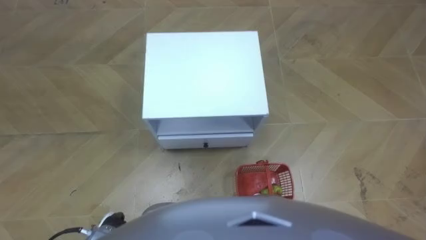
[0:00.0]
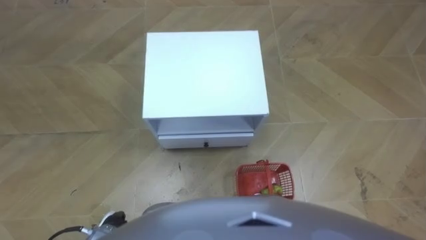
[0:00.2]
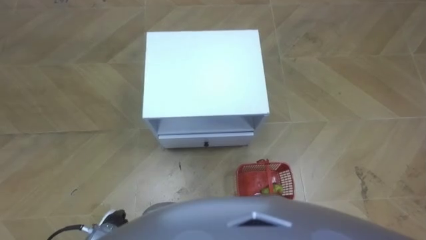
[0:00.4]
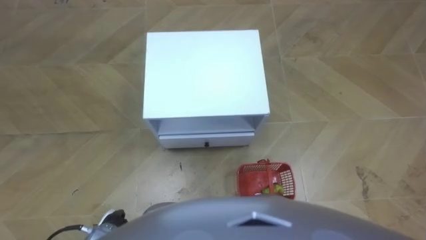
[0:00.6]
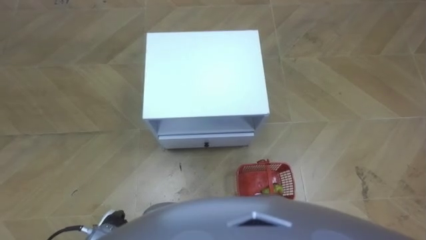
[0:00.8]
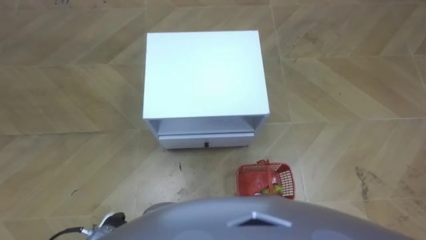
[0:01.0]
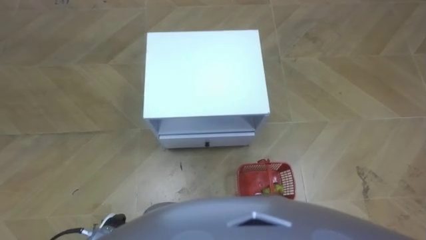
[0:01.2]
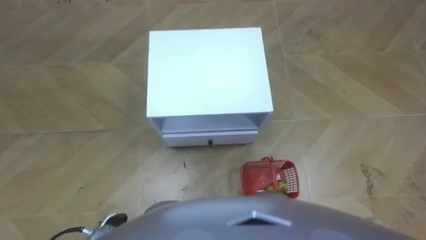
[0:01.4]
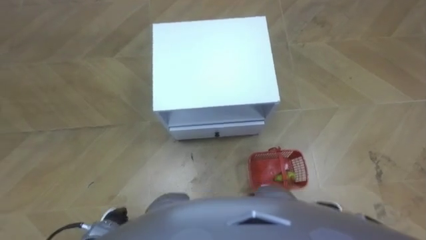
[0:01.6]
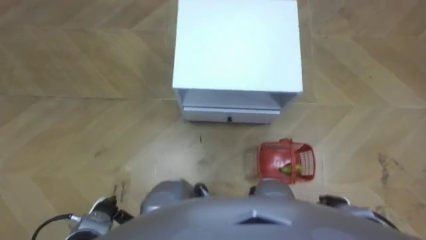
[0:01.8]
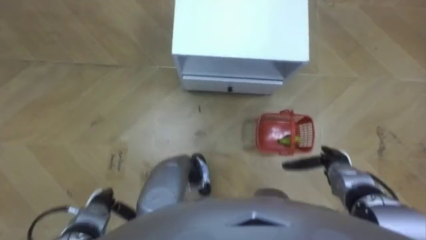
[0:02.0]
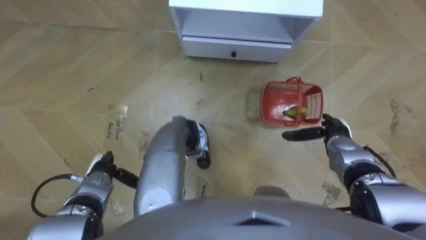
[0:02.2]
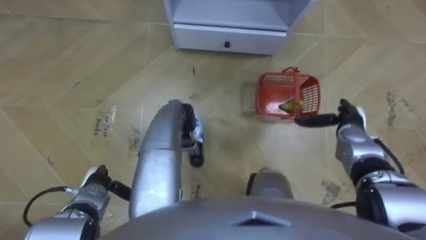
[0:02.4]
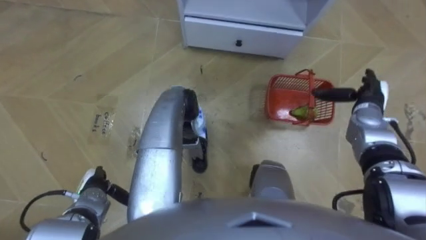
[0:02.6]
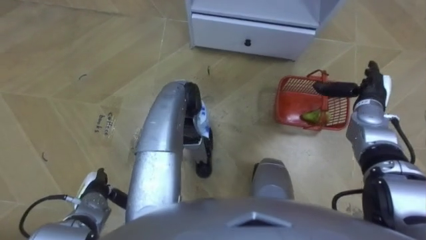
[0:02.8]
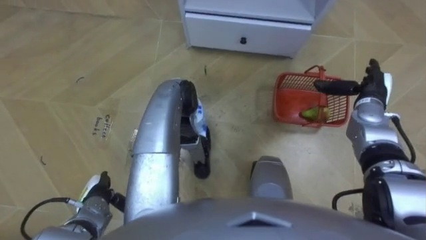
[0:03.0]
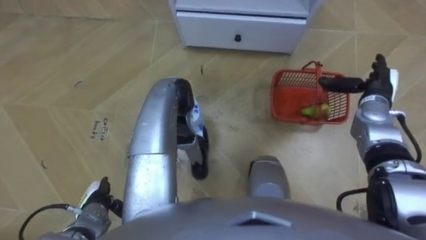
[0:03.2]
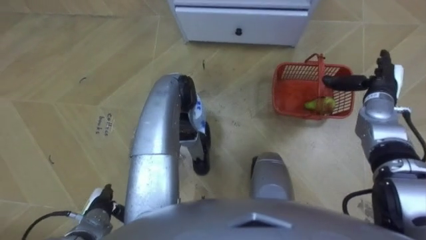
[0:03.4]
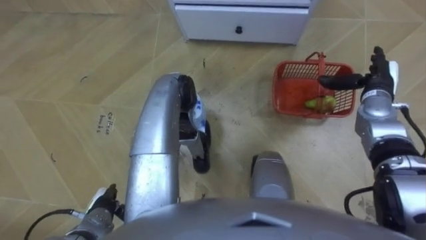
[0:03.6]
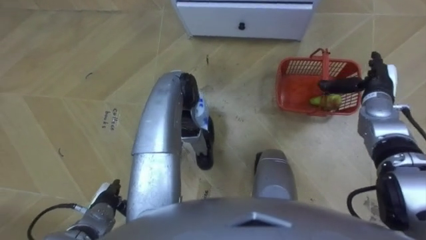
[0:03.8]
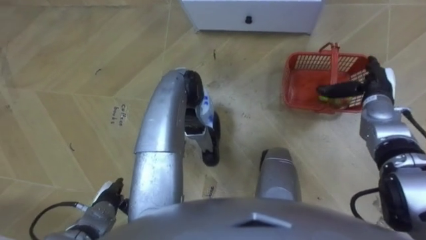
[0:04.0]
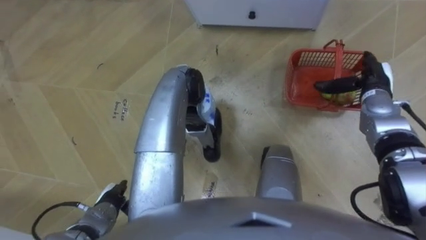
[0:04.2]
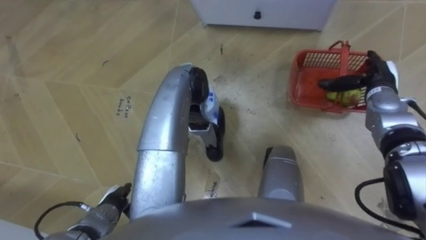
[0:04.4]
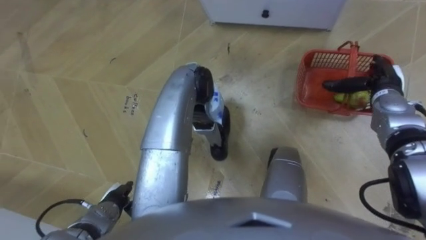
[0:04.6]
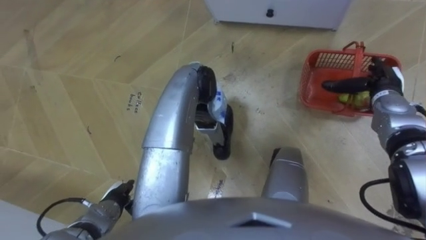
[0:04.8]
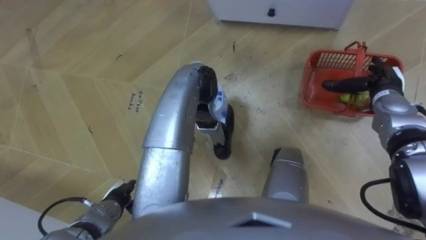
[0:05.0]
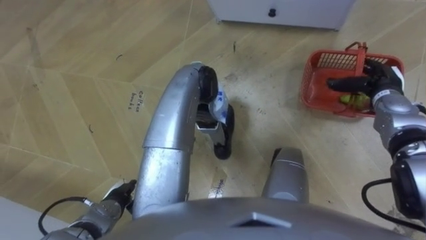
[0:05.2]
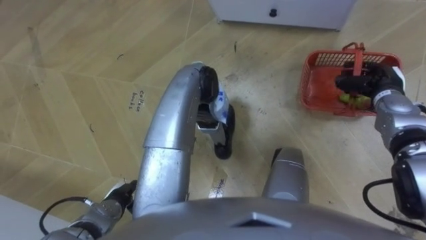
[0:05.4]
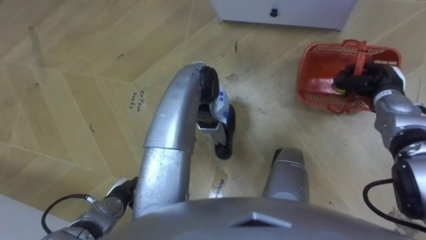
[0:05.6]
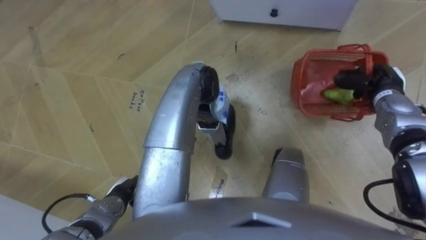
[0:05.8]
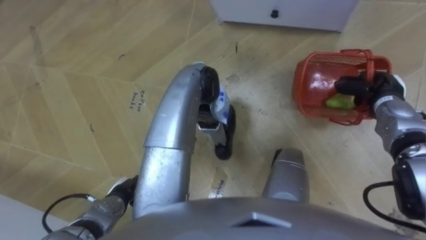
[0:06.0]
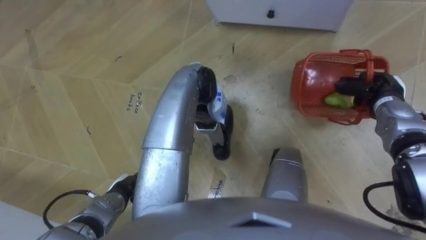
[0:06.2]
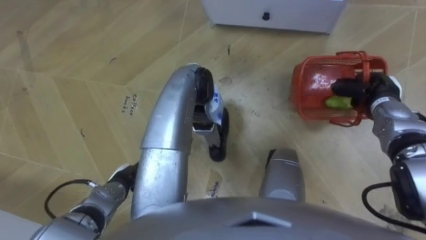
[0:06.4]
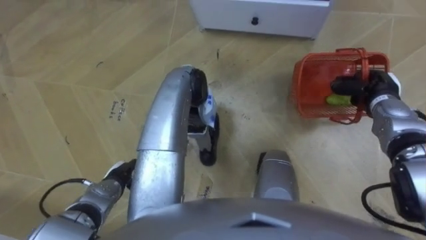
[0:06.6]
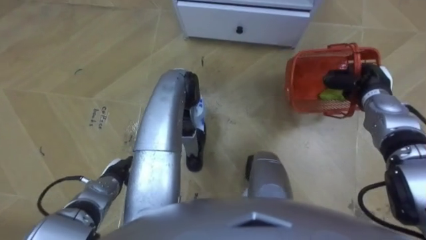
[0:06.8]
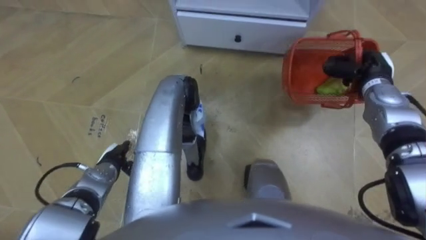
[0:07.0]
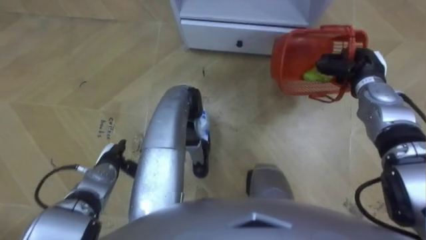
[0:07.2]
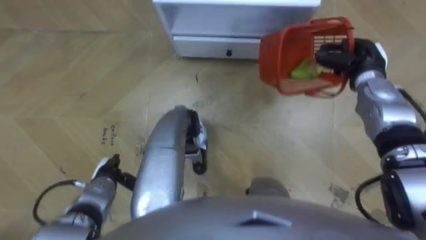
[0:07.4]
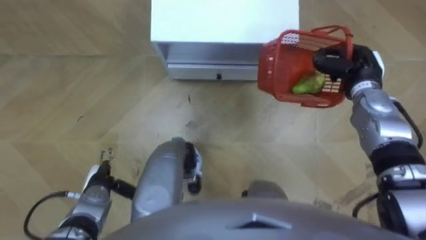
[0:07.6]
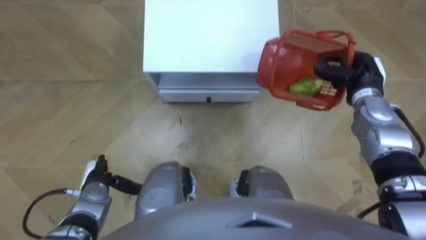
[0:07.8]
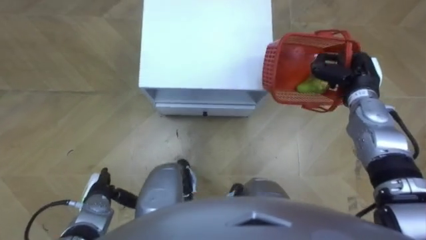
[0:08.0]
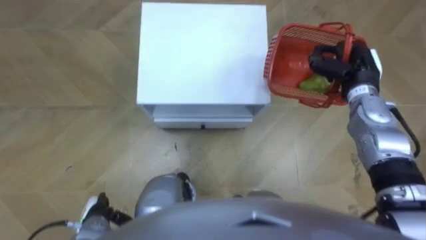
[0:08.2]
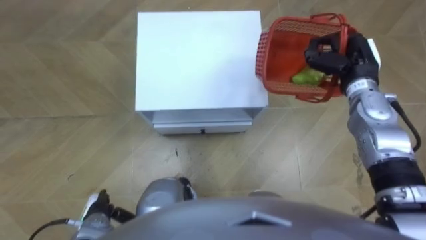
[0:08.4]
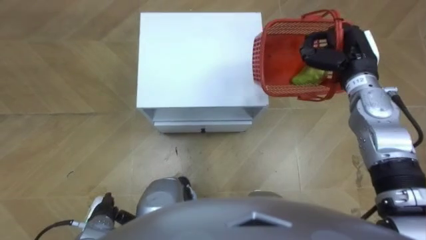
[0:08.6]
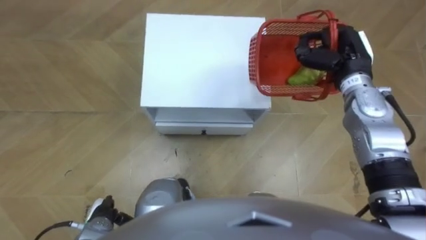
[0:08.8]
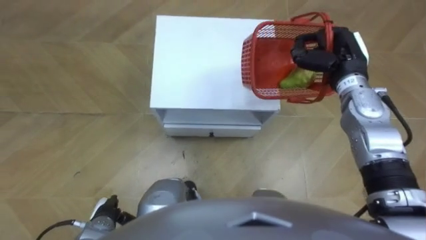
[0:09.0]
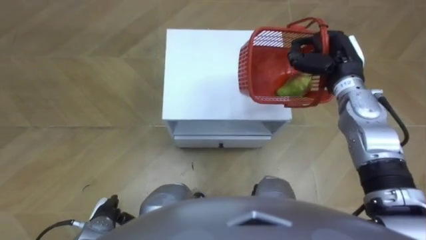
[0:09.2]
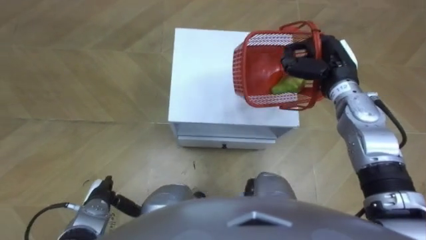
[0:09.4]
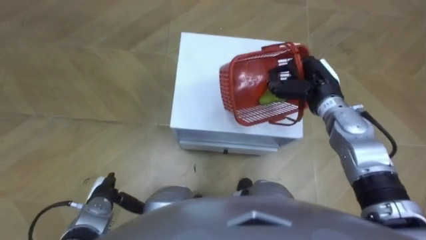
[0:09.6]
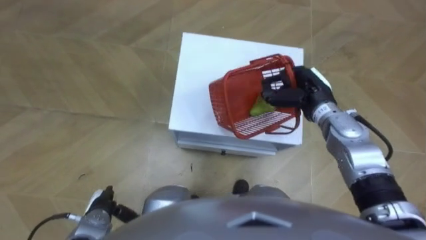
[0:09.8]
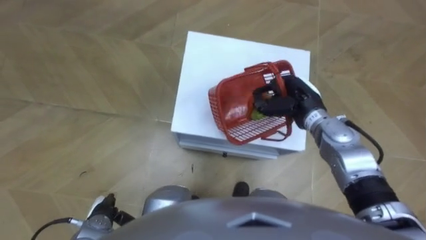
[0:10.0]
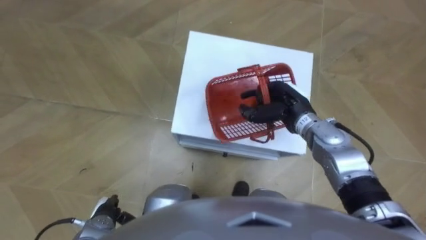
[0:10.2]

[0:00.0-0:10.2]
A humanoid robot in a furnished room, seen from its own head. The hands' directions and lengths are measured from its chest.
Task of the whole recording: Pick up the fruit basket from the floor and place it on the cabinet.
0:01.4 to 0:03.0: The left hand heads forward, covering about 10 cm. Meanwhile the right hand shifts some 35 cm forward and upward.
0:04.4 to 0:05.8: The right hand closes up.
0:05.8 to 0:07.2: The right hand moves approximately 5 cm. Meanwhile the left hand travels forward by roughly 10 cm.
0:07.2 to 0:08.8: The left hand goes approximately 15 cm backward. The right hand is displaced upward and to the left by roughly 10 cm.
0:08.8 to 0:10.2: The right hand heads to the left, downward and backward, covering about 15 cm.

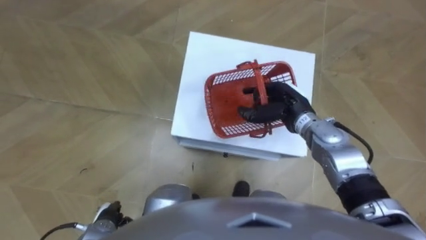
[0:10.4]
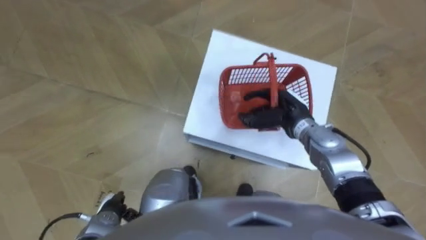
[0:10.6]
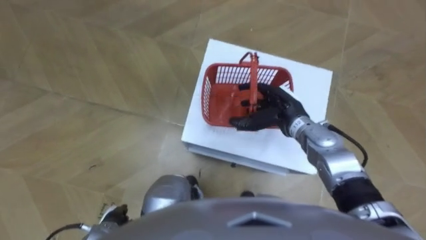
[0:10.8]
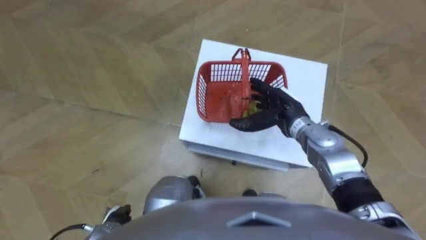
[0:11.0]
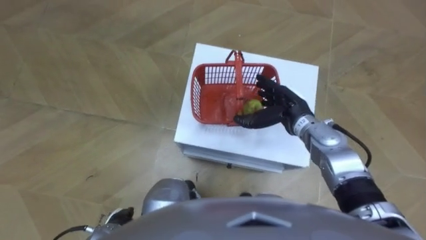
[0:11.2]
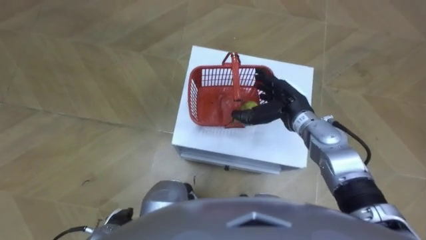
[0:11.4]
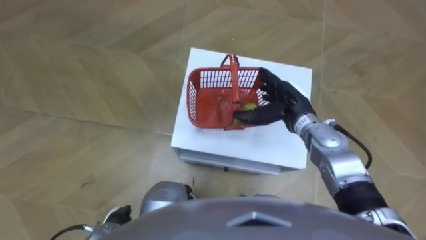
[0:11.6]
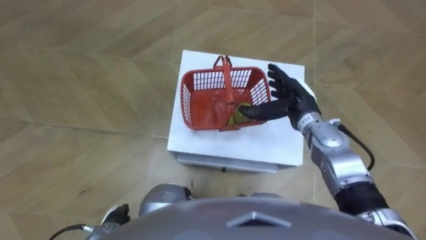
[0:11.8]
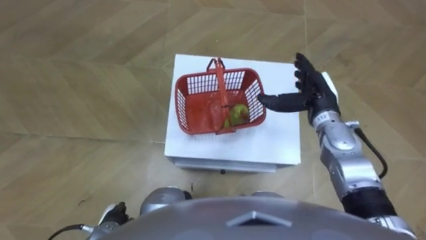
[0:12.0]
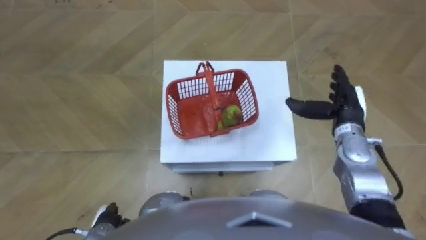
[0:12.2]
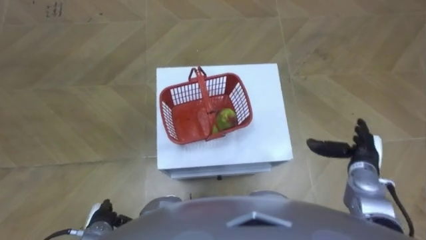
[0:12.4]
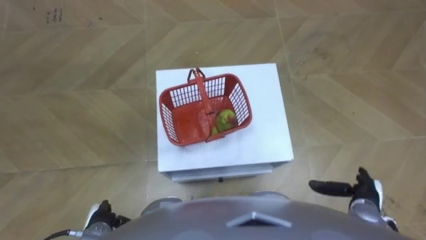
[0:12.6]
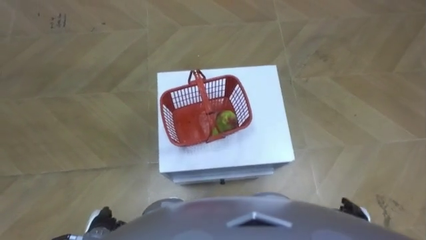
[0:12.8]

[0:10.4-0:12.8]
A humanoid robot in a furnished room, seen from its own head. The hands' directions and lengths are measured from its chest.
Task of the whole recording: Pick up the fruit basket from the floor and place it on the cabinet.
0:10.4 to 0:11.6: The right hand opens its fingers.
0:11.6 to 0:12.8: The right hand is displaced backward, to the right and downward by some 30 cm.

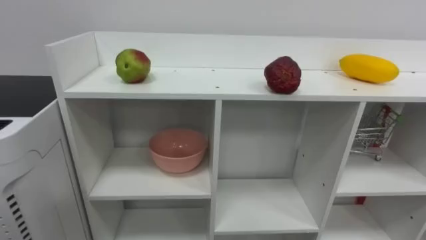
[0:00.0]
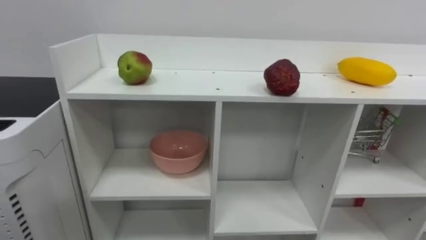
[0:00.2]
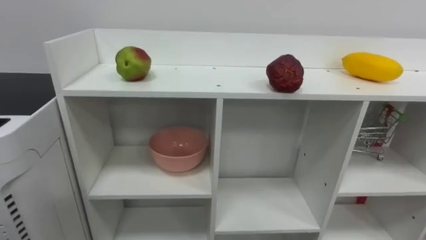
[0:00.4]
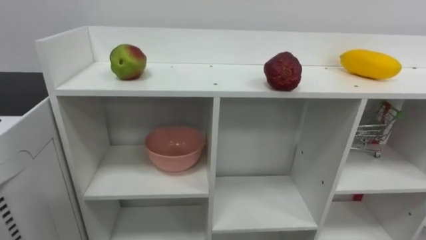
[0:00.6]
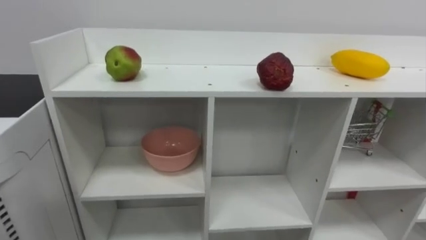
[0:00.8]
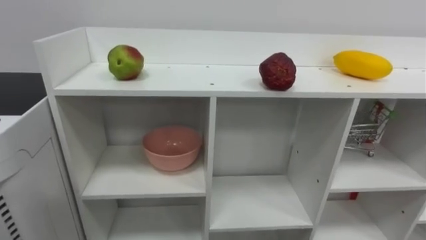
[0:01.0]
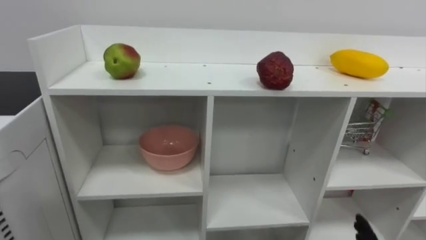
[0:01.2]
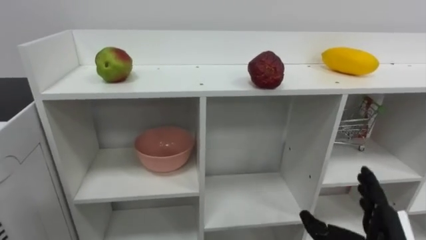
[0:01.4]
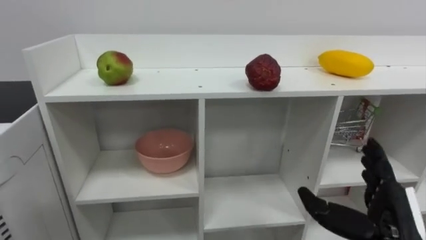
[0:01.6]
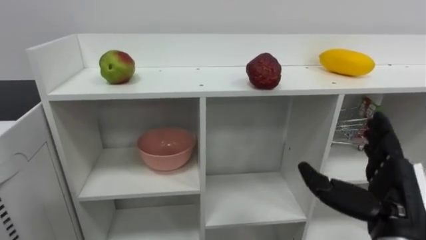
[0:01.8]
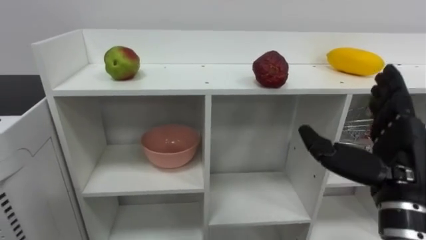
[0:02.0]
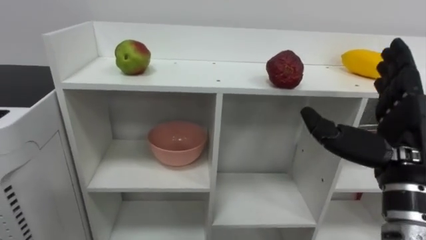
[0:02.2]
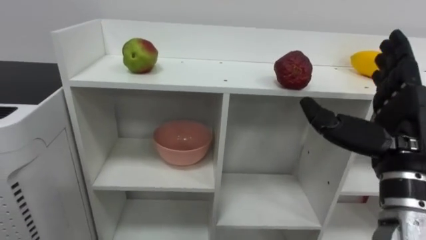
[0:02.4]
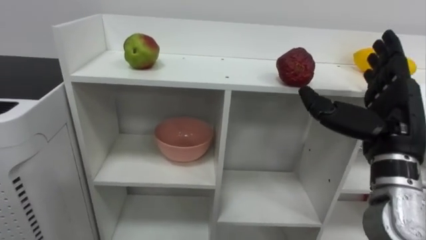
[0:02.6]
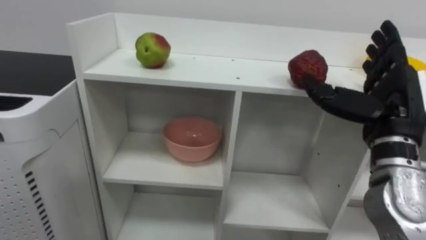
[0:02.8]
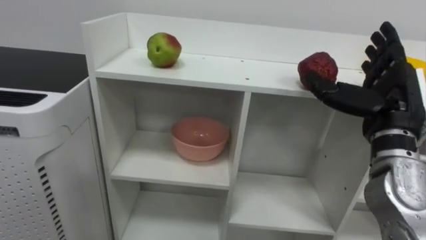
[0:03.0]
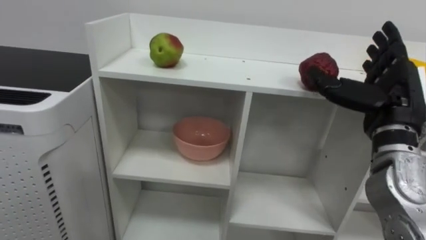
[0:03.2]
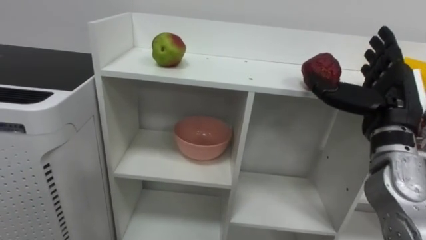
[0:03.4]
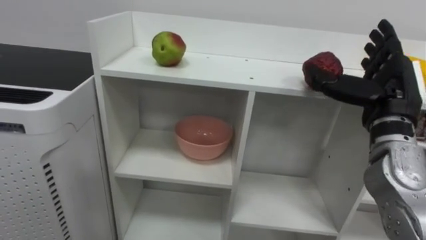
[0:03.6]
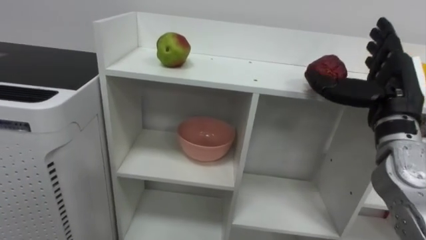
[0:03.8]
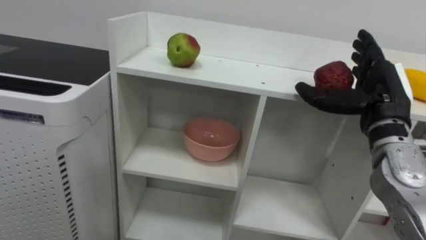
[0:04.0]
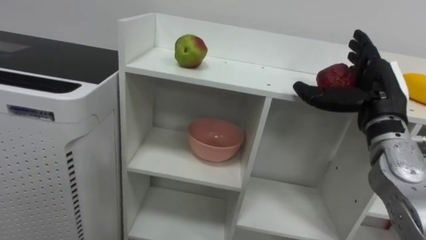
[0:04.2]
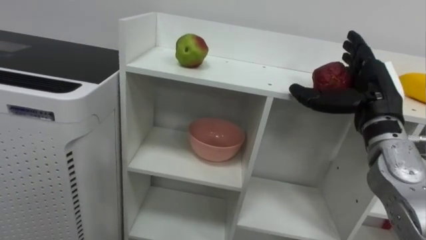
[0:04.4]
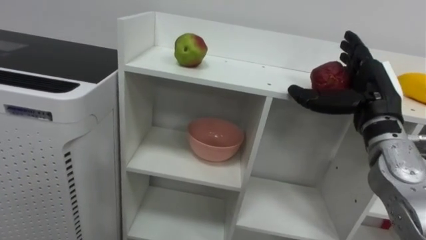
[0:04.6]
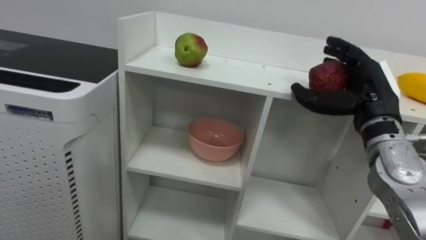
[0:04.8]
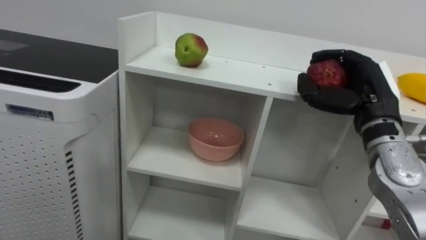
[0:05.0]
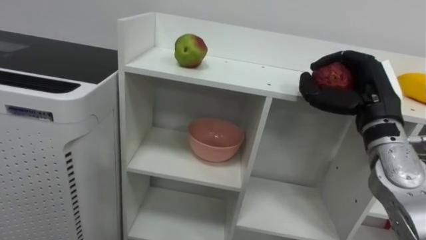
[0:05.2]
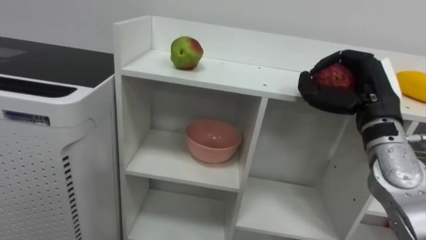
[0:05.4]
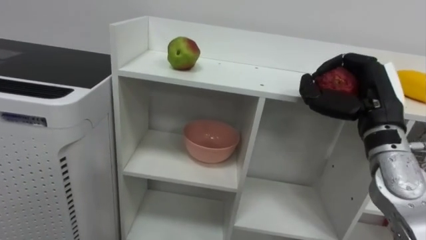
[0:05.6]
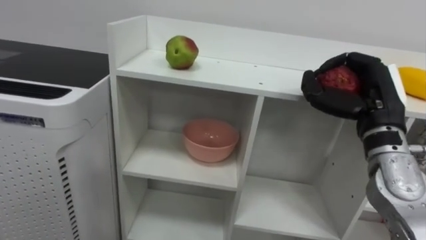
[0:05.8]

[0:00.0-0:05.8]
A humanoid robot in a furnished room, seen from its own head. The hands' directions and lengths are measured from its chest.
Task of the whole recording: Put the apple in the cell in the second column from the left and the second row from the top.
0:02.8 to 0:04.4: The right hand moves forward, approximately 5 cm.
0:04.4 to 0:05.8: The right hand closes.
